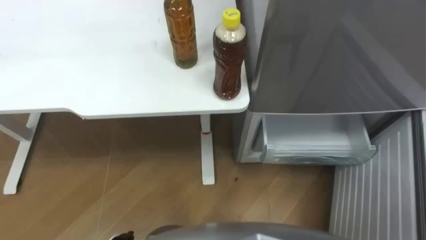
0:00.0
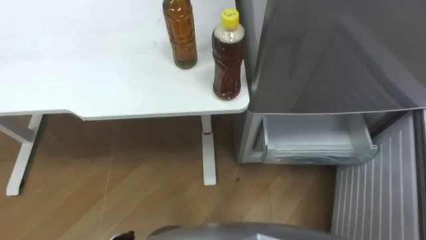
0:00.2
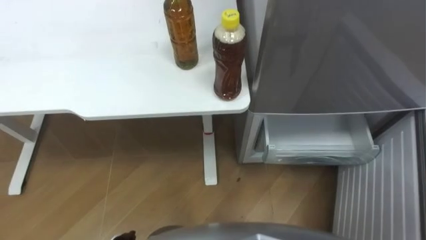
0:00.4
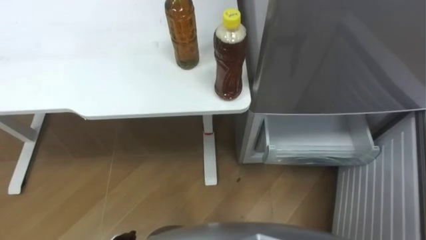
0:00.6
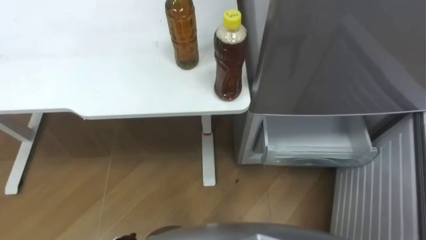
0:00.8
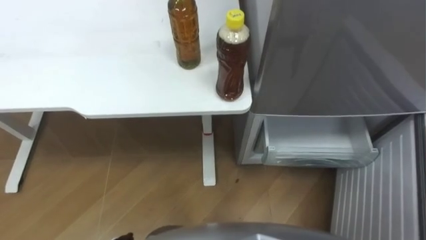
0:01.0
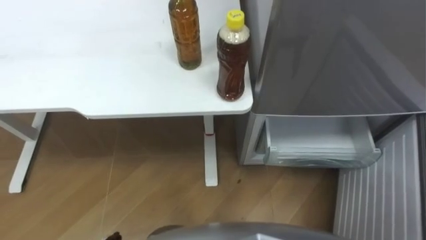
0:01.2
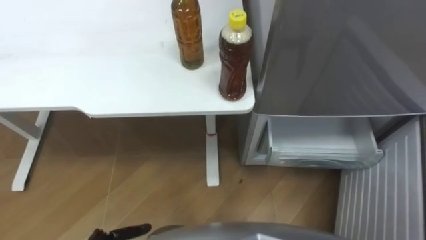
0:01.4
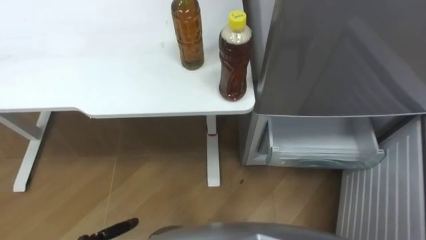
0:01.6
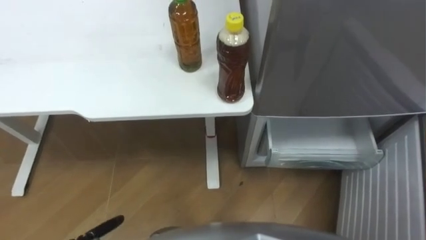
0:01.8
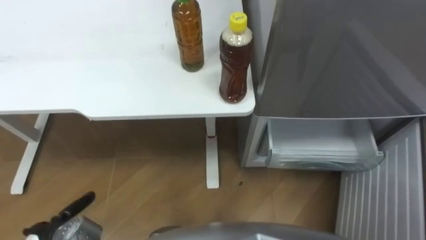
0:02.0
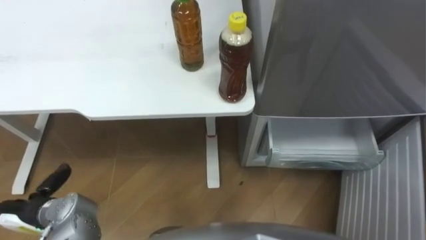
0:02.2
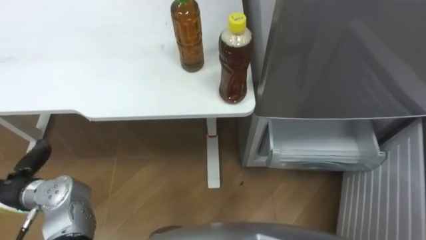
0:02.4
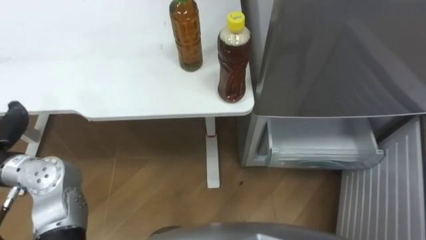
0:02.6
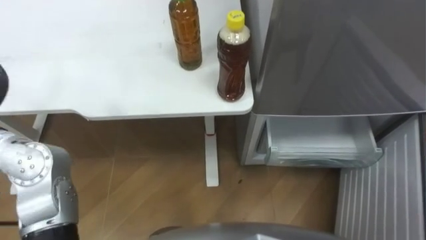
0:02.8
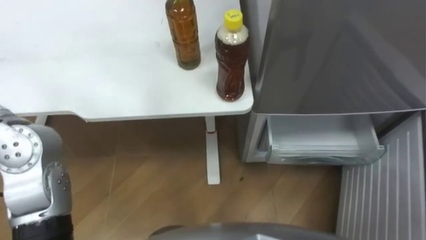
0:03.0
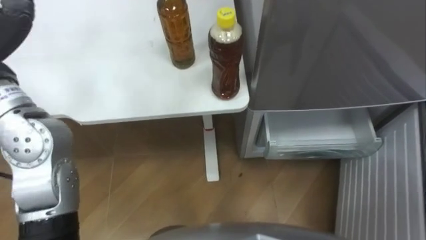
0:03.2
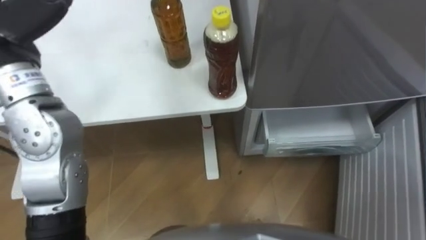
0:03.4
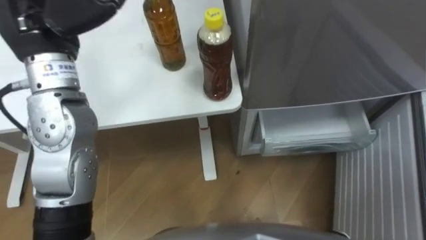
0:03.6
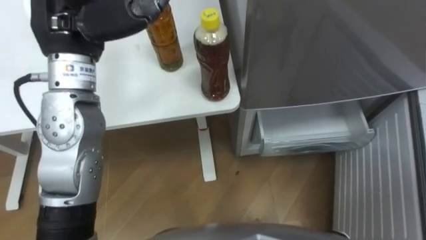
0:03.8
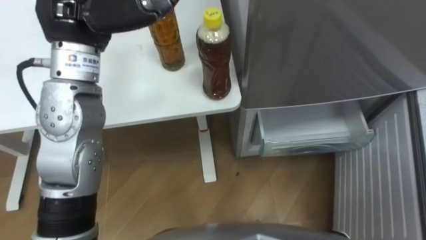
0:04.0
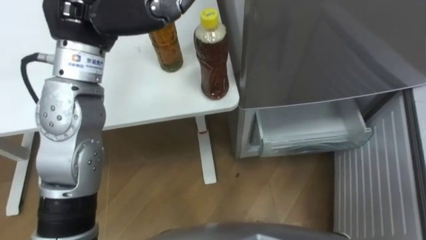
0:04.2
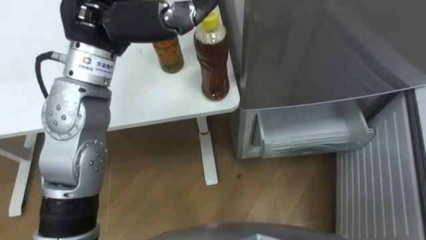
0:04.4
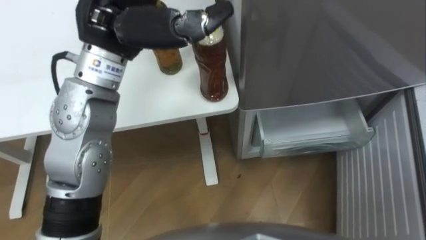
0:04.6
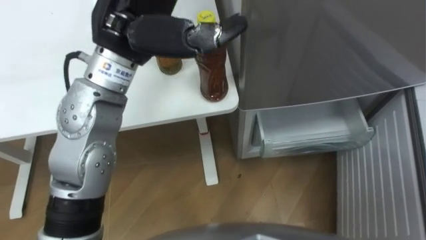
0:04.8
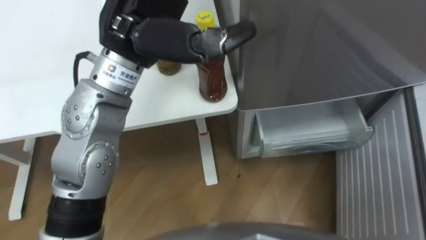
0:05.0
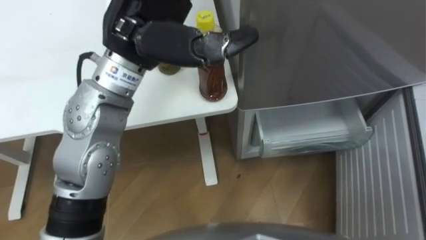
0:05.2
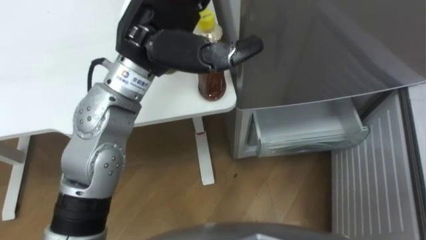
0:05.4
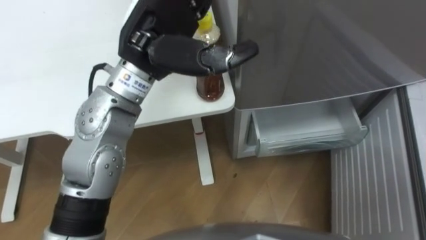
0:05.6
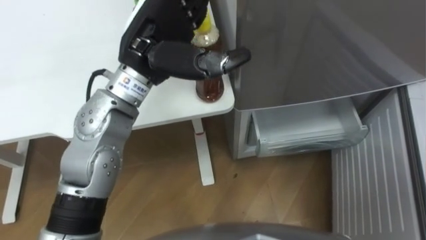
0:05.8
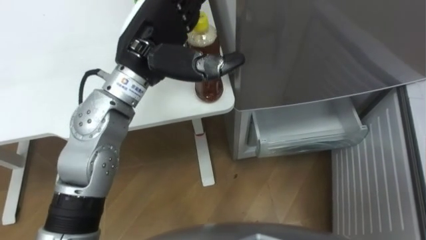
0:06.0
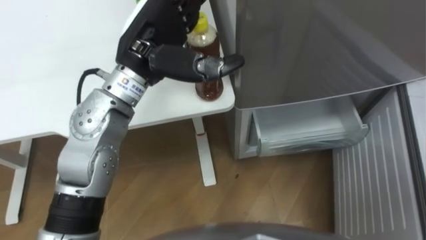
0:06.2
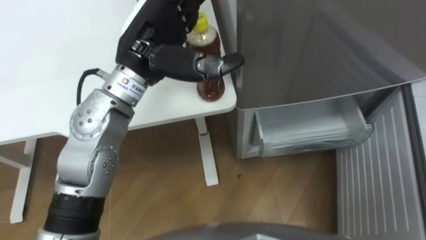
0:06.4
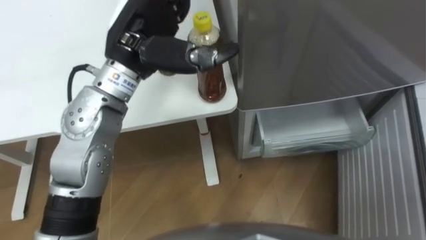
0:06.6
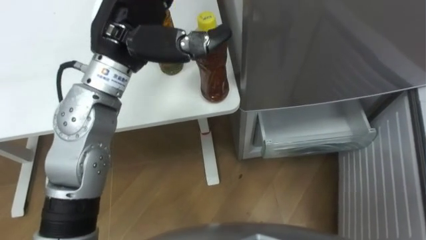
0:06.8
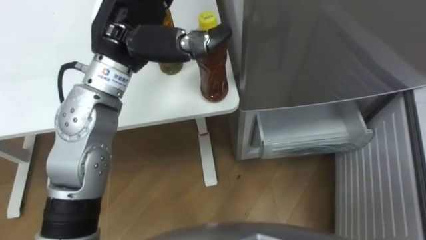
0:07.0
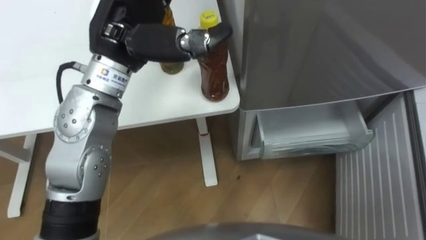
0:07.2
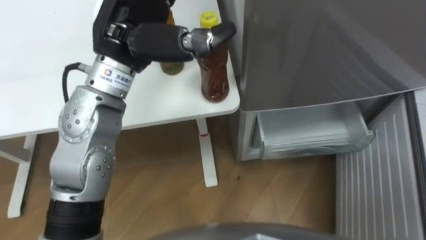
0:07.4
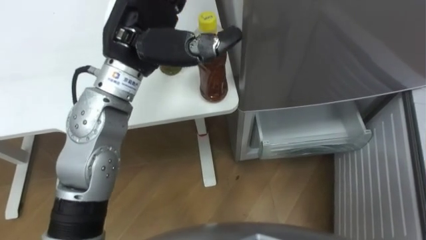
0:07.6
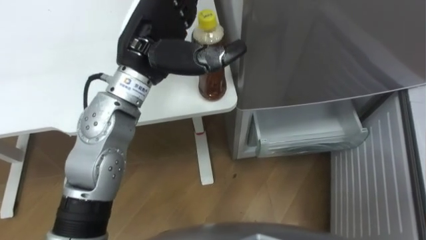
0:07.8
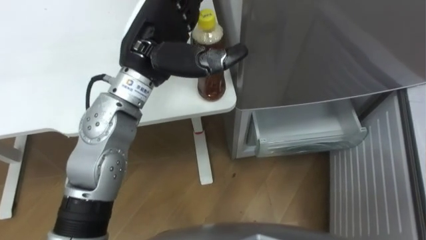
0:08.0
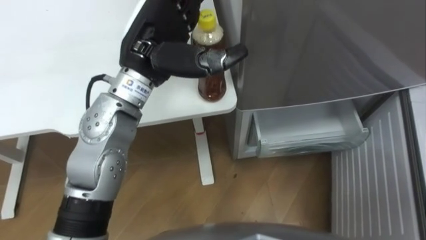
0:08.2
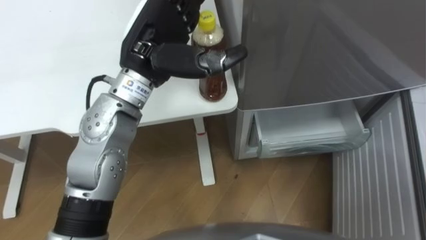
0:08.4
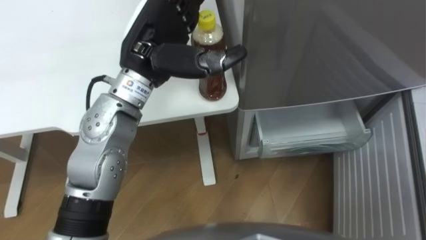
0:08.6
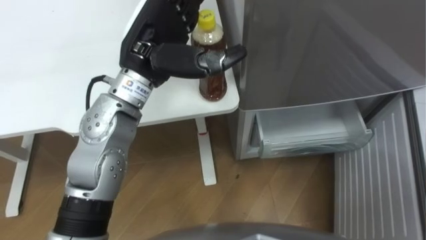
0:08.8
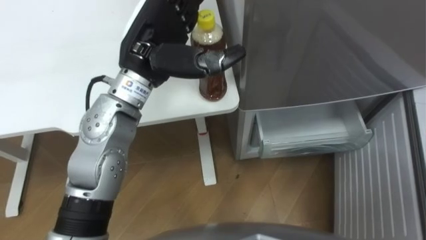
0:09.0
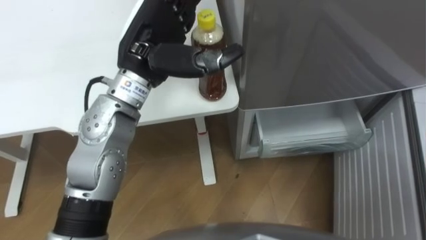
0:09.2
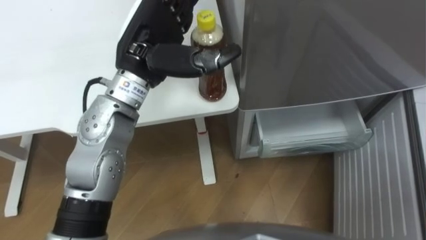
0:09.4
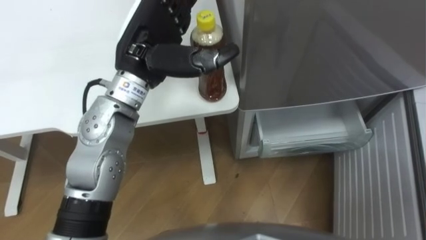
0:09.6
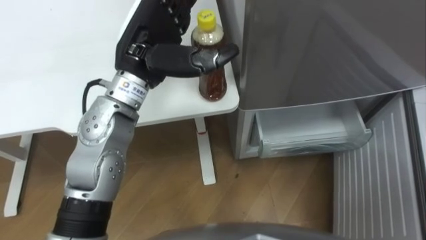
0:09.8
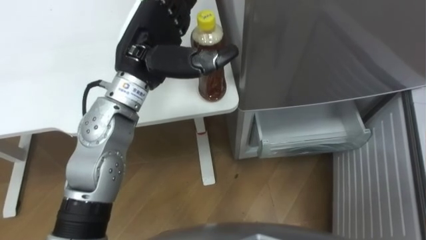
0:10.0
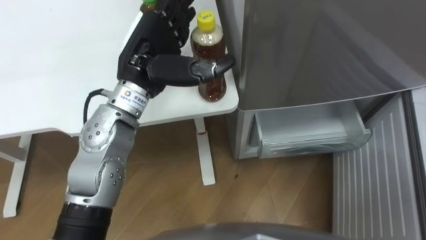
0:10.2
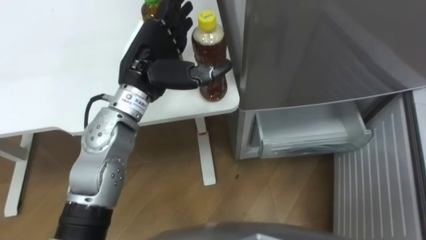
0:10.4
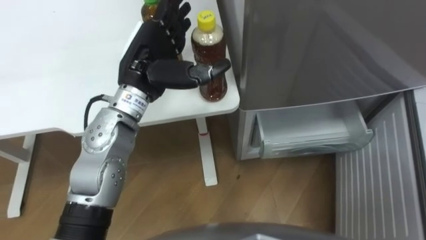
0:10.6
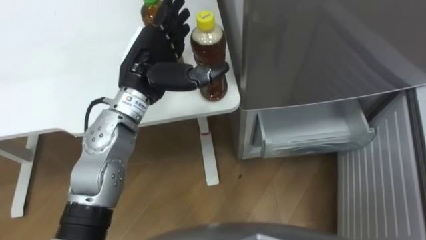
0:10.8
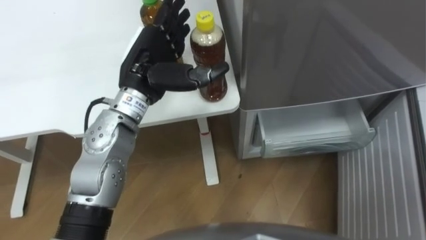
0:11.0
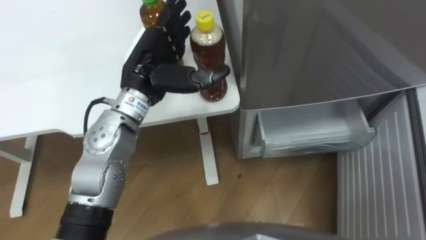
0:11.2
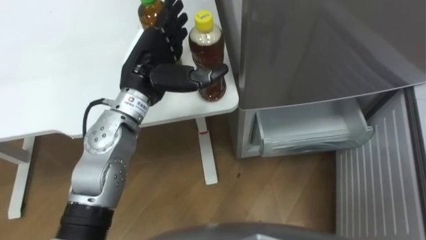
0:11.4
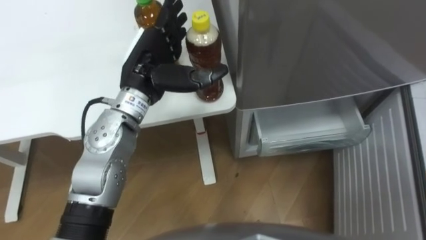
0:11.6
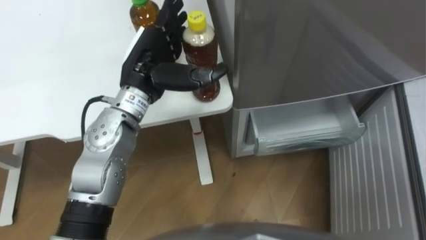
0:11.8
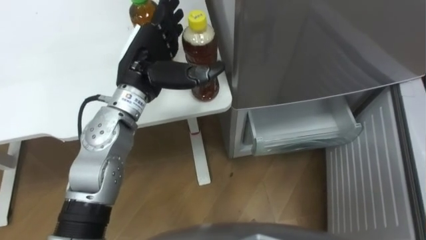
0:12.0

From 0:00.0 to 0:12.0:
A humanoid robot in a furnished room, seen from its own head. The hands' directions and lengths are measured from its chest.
Task of the whole recording: Place the drink on the table on the bottom shelf of the refrigerator, then close the drawer and the refrigerator door.
From 0:04.4 to 0:06.0: The left hand travels downward by approximately 5 cm.

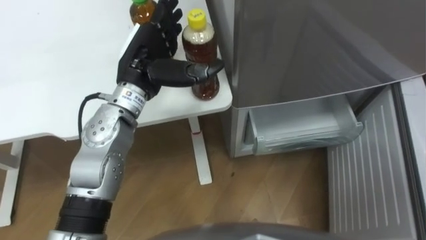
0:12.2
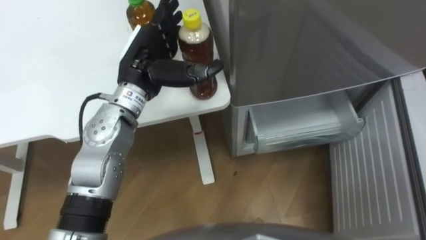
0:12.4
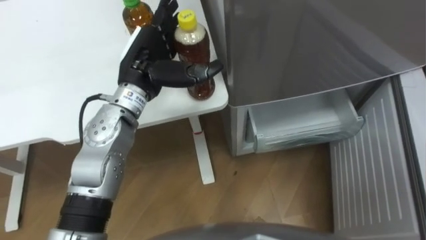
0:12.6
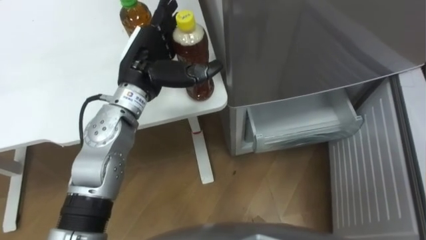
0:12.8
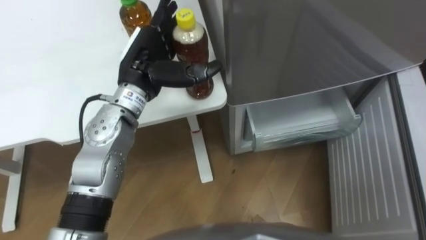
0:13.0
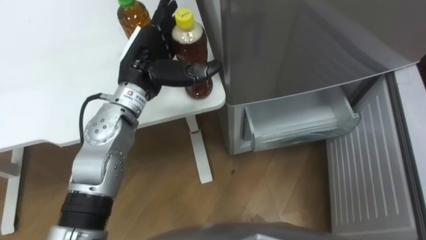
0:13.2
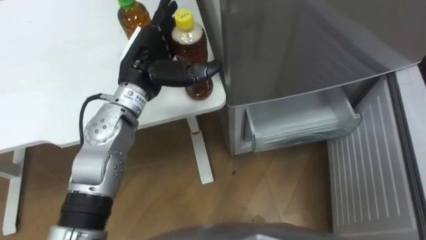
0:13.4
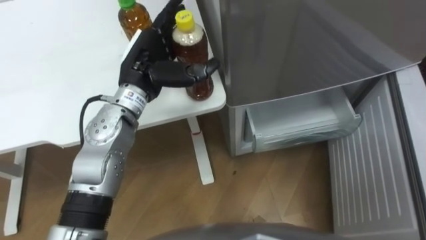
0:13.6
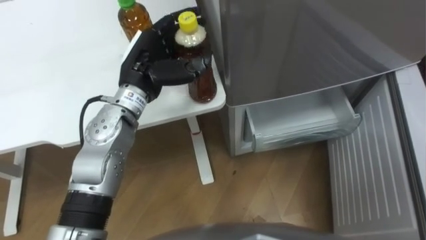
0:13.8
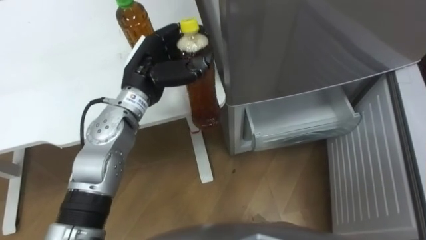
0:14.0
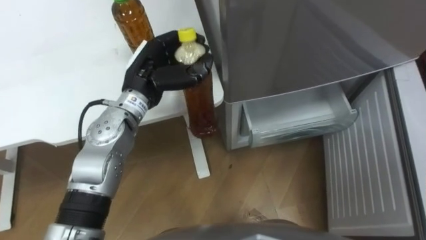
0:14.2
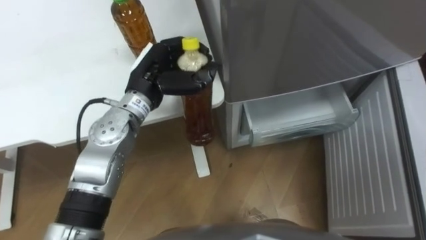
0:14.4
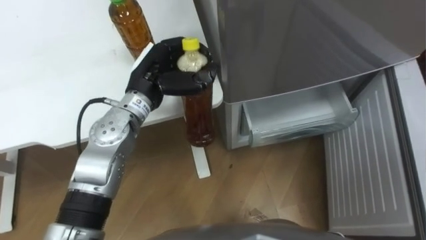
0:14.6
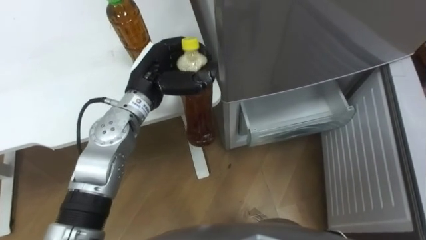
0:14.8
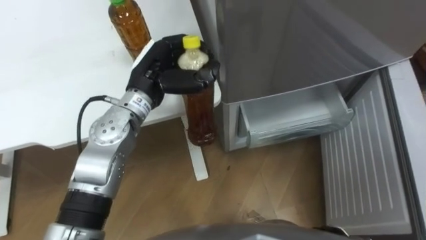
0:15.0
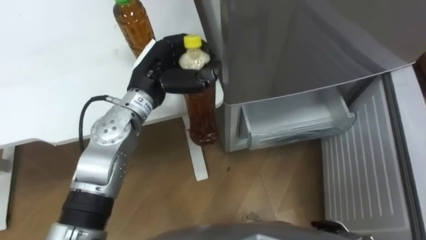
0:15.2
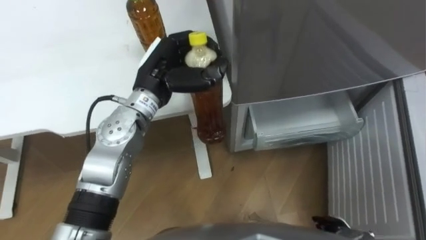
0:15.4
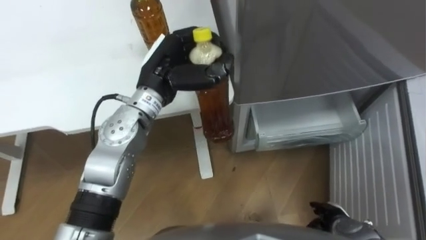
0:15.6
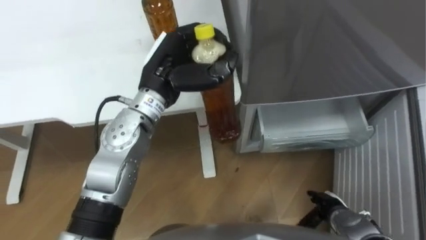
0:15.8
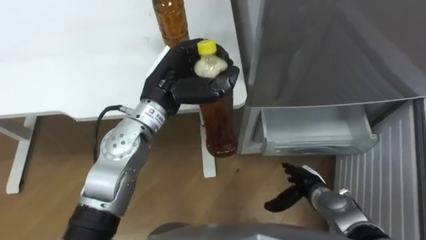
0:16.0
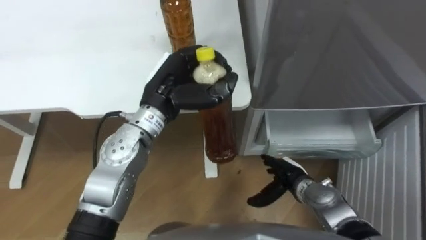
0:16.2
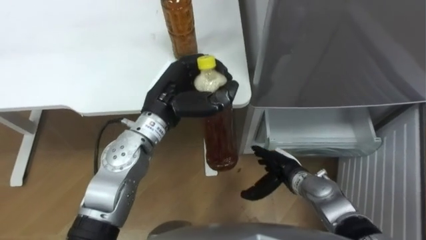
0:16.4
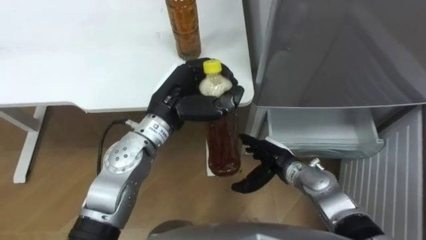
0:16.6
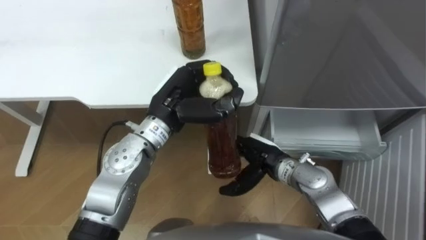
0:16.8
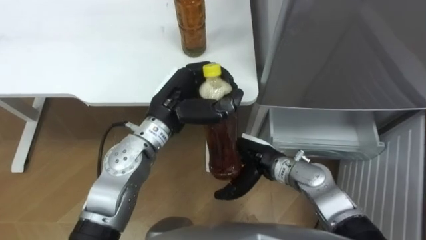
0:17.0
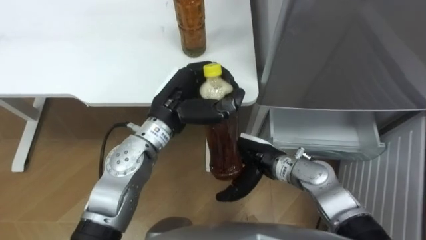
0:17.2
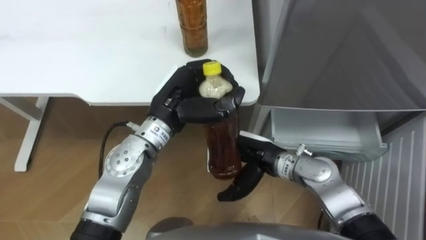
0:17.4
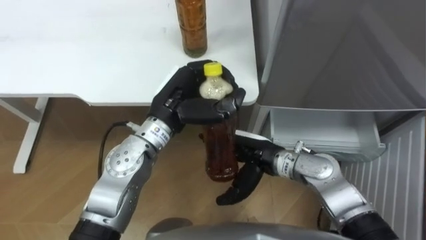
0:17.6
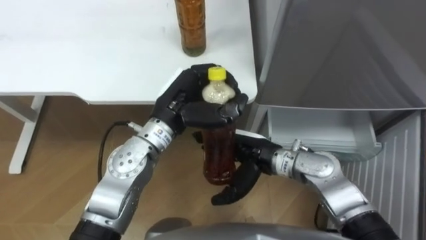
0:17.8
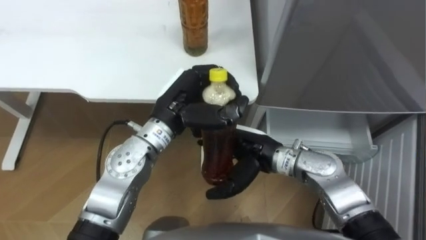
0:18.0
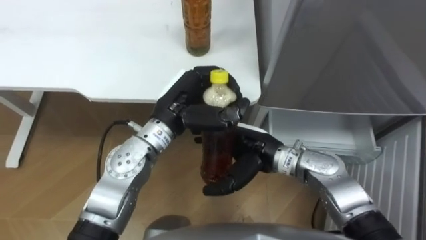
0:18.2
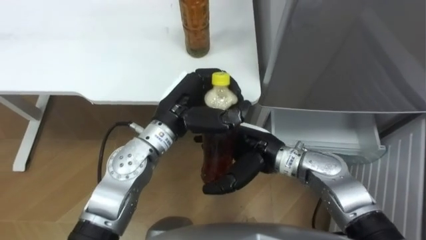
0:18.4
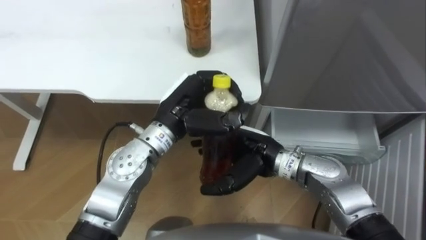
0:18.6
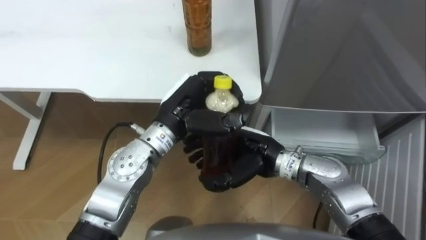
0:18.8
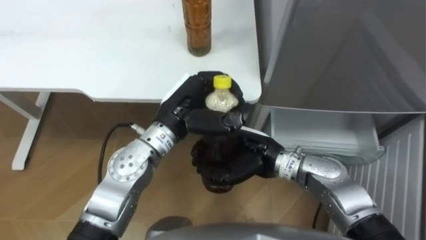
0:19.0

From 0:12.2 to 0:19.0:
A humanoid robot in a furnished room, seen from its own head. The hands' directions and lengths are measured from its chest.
Task of the whole recording: Place the drink on the table on the bottom shelf of the refrigerator, then close the drawer and the refrigerator door.
From 0:13.6 to 0:15.0: The left hand closes its fingers.
From 0:16.2 to 0:17.6: The right hand moves upward and to the left, some 15 cm.
From 0:17.6 to 0:19.0: The right hand closes up.
